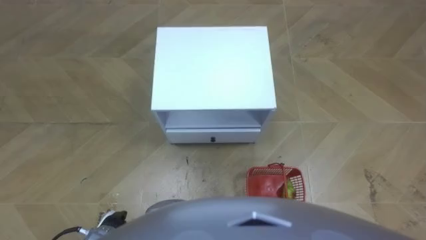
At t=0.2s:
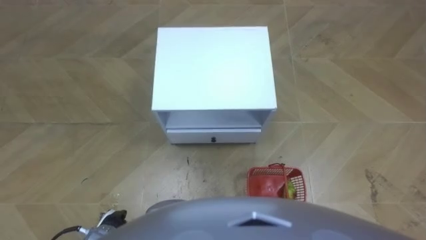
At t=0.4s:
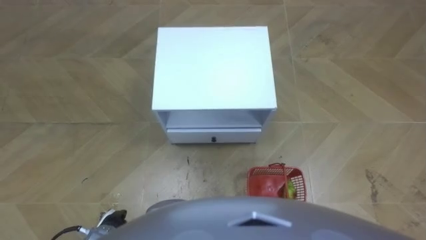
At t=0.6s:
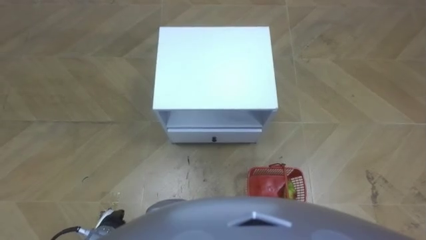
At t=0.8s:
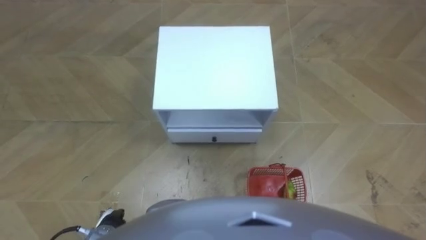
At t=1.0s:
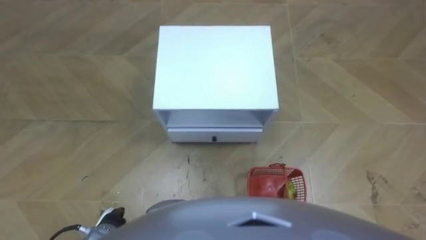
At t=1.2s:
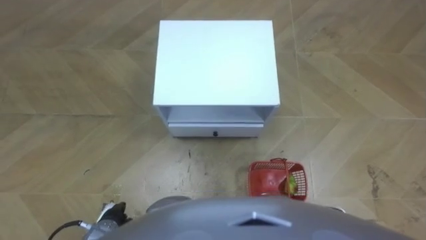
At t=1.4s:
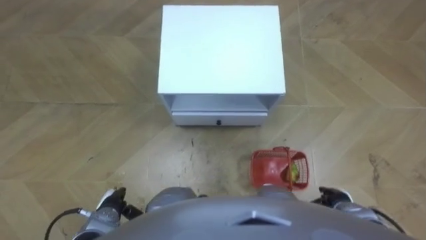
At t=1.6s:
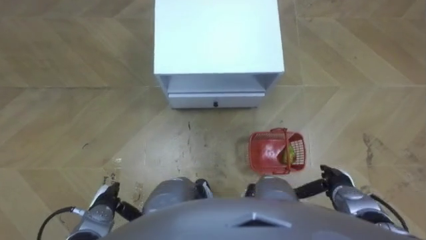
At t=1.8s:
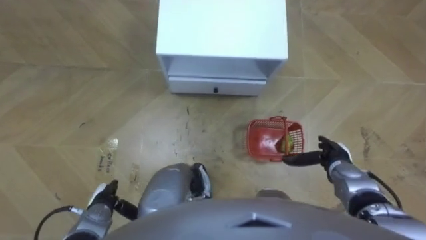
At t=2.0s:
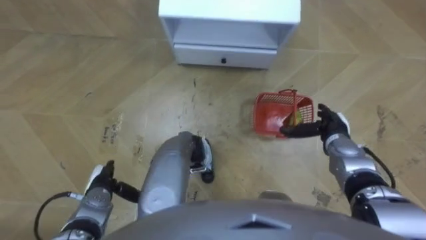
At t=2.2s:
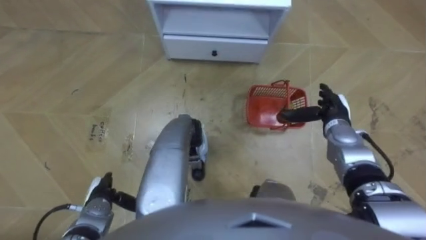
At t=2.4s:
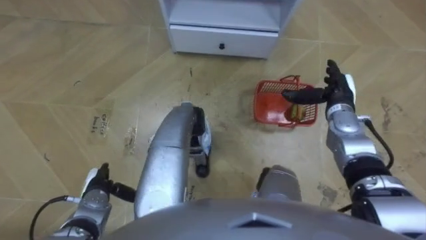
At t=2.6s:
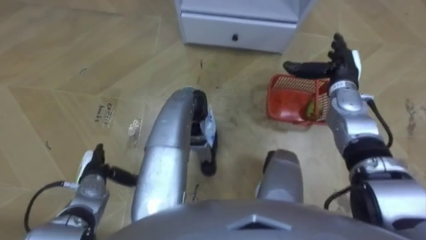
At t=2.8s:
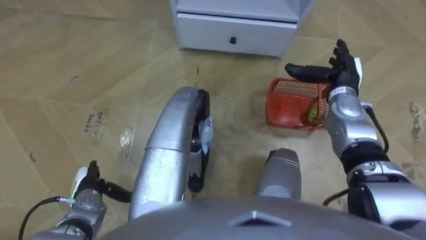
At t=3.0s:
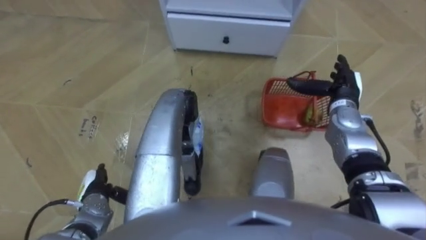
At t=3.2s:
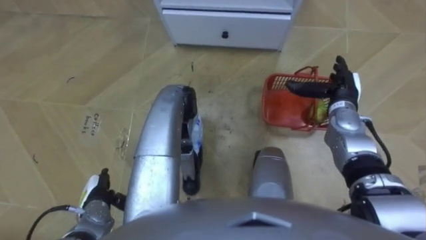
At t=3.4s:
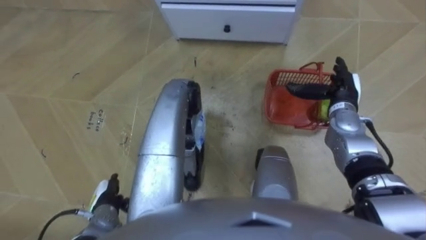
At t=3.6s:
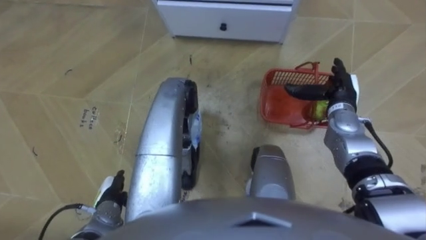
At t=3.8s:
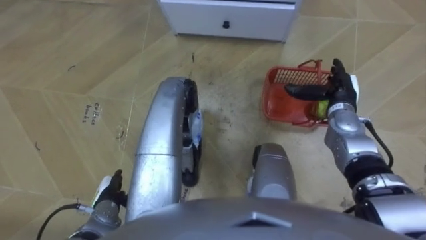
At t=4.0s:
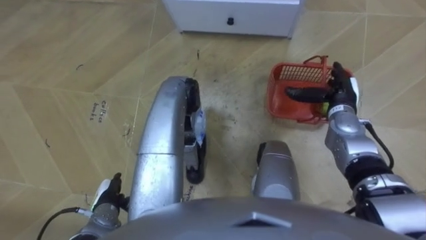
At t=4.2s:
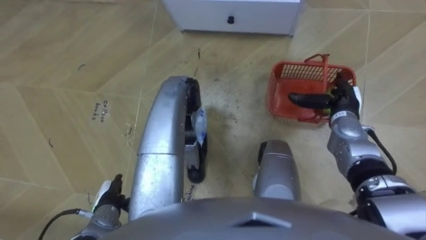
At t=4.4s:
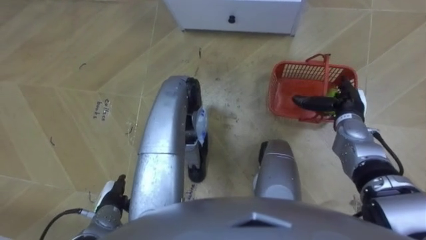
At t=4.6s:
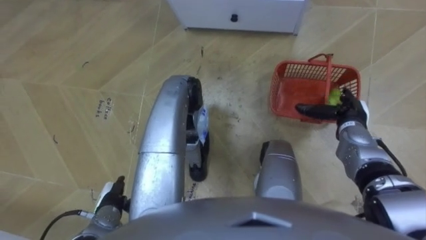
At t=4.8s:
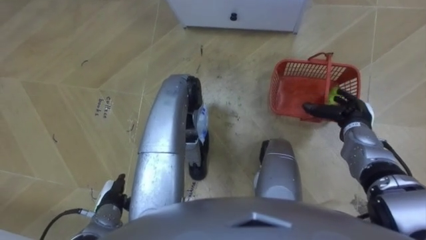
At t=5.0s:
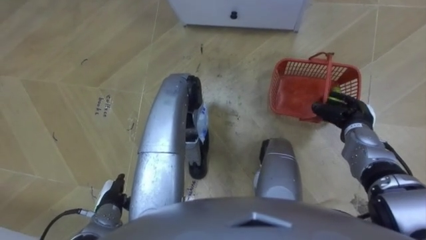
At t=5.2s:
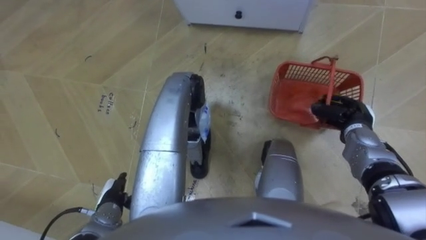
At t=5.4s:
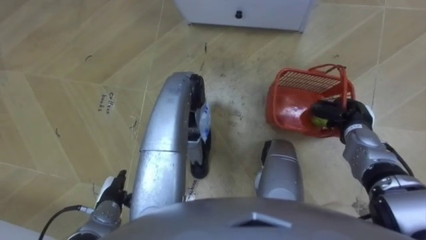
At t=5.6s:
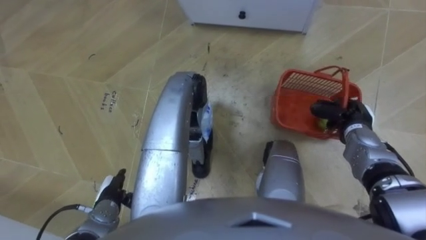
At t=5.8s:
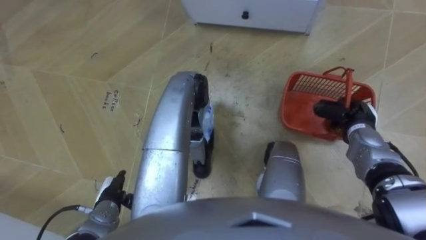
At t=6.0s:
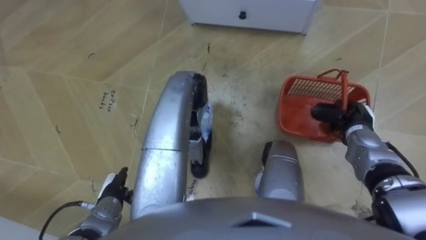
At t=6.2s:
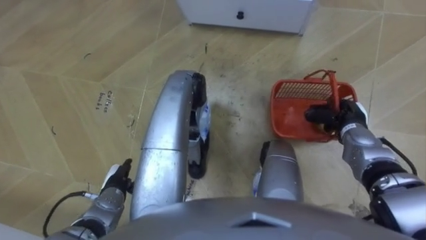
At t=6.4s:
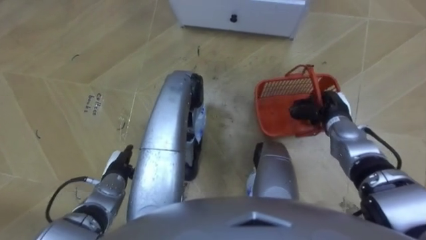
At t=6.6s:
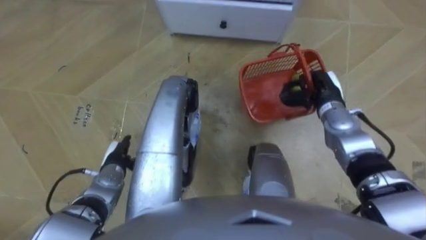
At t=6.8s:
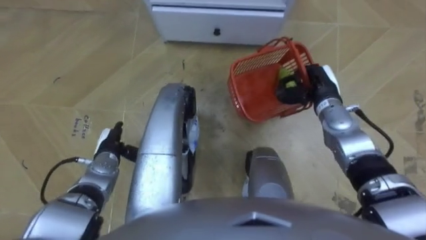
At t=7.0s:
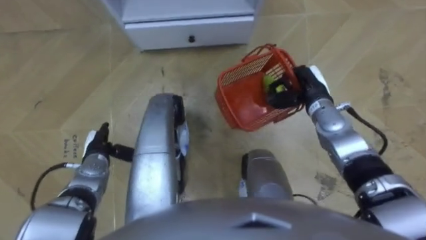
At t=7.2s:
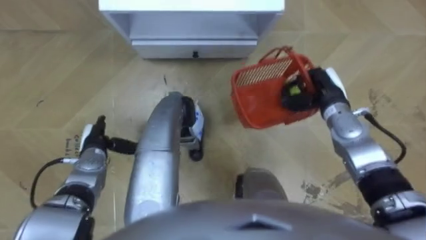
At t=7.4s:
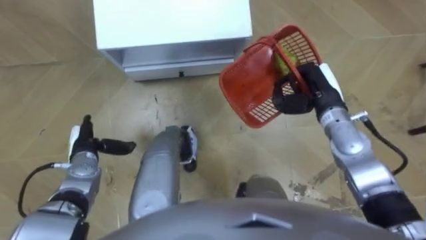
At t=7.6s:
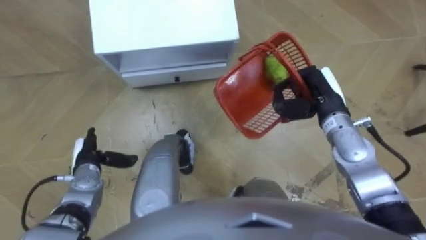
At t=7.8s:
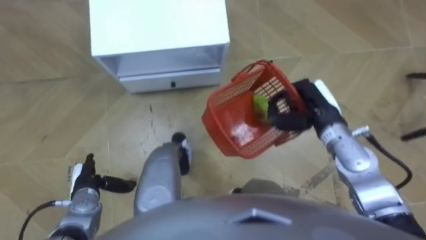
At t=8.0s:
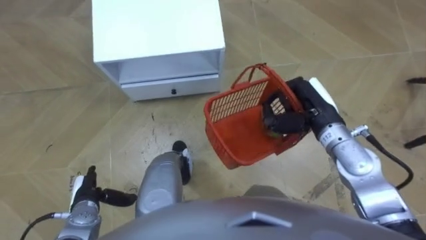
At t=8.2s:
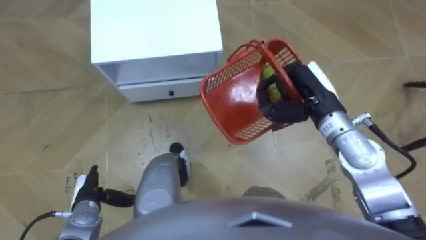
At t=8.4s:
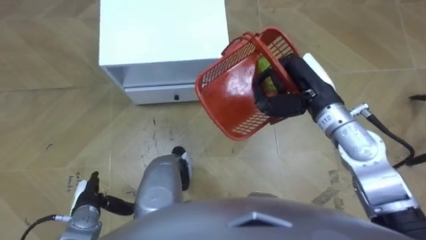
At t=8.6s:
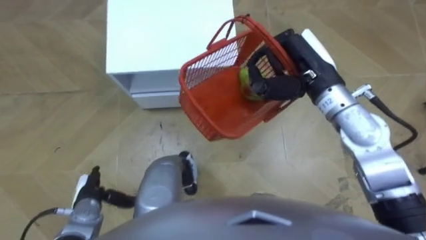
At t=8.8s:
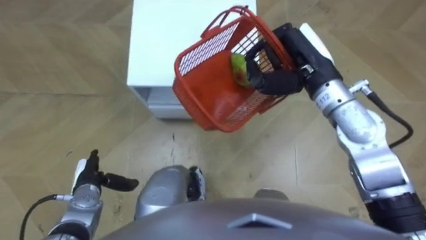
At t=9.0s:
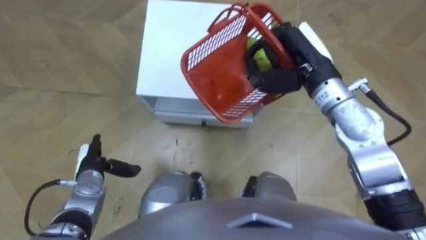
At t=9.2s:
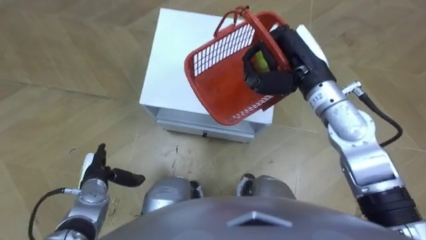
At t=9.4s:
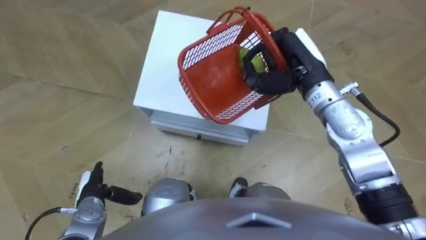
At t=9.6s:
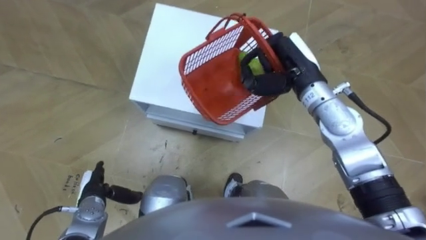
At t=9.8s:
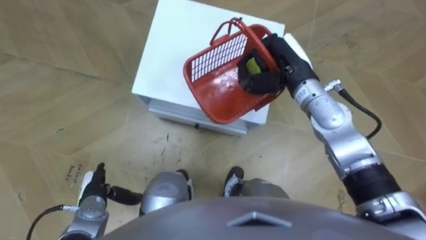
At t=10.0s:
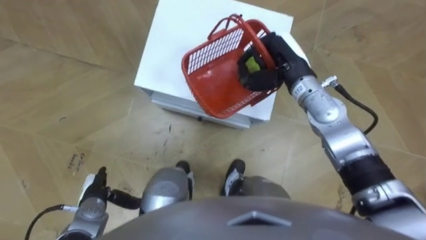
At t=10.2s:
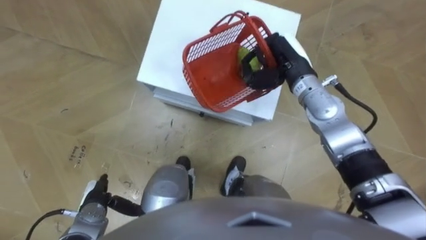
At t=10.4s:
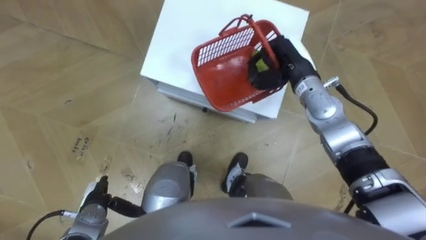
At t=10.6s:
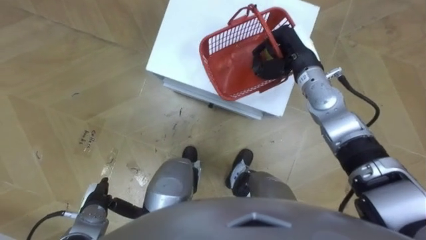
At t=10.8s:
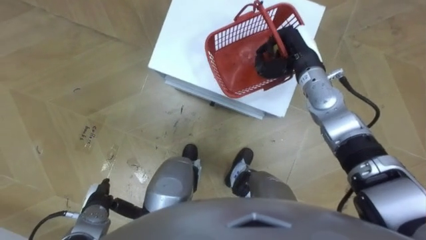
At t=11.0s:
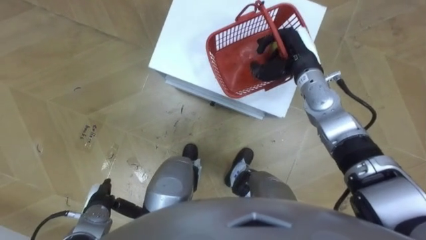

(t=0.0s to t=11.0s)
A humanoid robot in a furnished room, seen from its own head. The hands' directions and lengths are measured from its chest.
Task of the whole recording: Pick up the fruit basket from the floor and place it on the cabinet.
t=1.6s - t=3.2s: The right hand heads forward and upward, covering some 20 cm.
t=3.2s - t=4.8s: The right hand ends up some 5 cm from where it was.
t=4.8s - t=6.2s: The right hand closes its fingers.
t=6.2s - t=7.8s: The robot faces some 20 degrees further to its right. The right hand travels upward and to the left by about 15 cm, while the left hand heads to the left, covering some 5 cm, and travels forward and back again, some 10 cm each way.
t=7.8s - t=9.4s: The right hand is displaced upward, to the left and forward by roughly 10 cm; the left hand goes forward and backward, about 5 cm each way, reversing 2 times.
t=9.4s - t=11.0s: The right hand moves downward and forward, approximately 10 cm.

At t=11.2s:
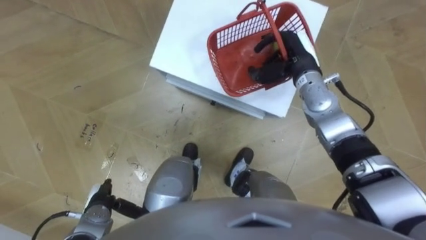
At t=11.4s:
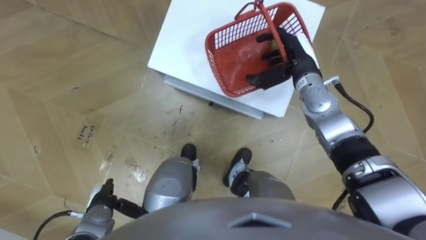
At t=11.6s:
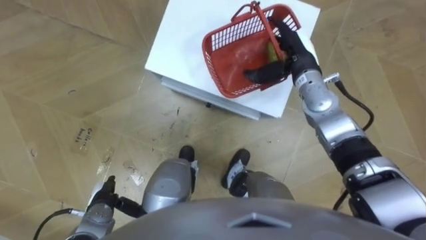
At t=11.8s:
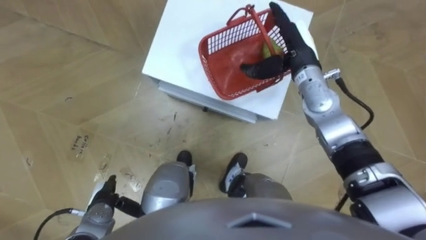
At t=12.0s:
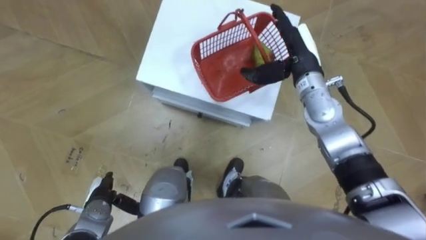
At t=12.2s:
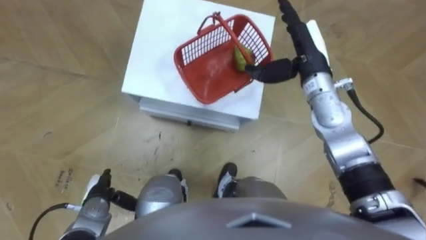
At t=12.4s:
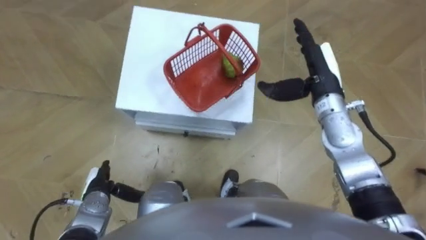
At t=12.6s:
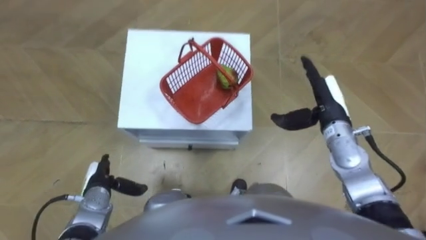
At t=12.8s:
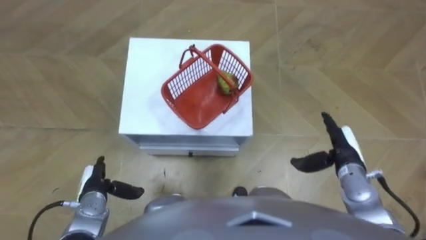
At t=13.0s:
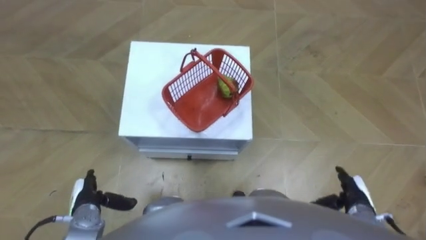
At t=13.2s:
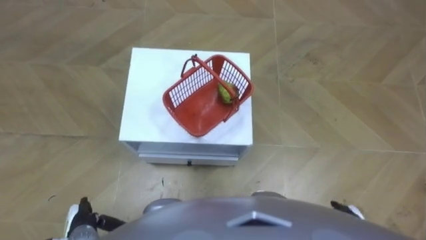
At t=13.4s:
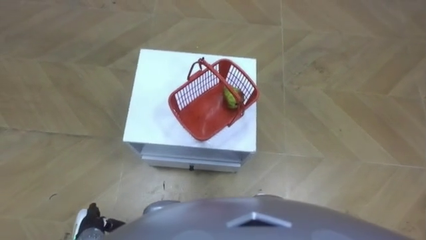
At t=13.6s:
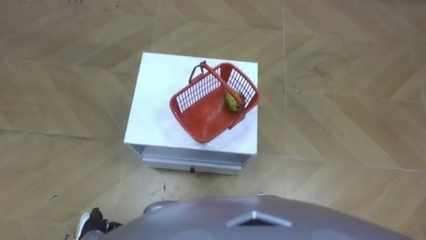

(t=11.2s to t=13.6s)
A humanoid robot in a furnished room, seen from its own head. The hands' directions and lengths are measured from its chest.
Task of the whole recording: Pick up the fruit basket from the floor and place it on the cabinet.
t=11.2s - t=12.4s: The right hand ends up roughly 5 cm from where it was, and opens up.
t=12.4s - t=13.6s: The left hand travels backward by approximately 10 cm.

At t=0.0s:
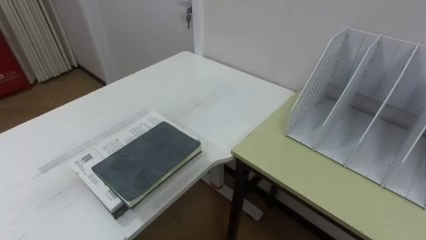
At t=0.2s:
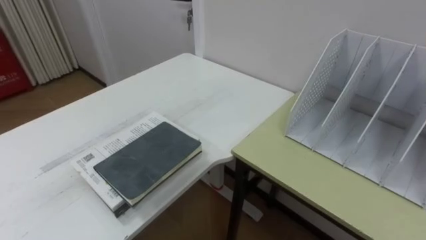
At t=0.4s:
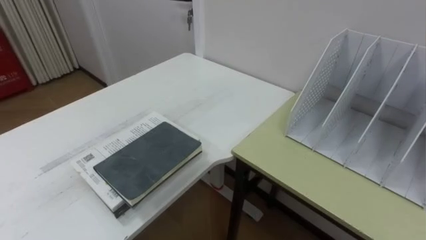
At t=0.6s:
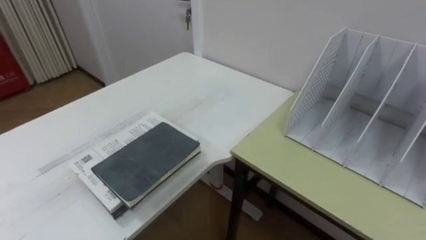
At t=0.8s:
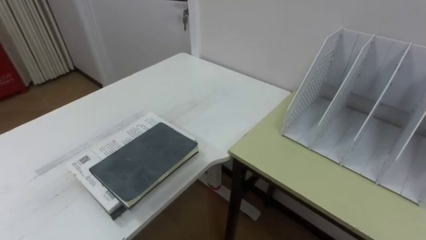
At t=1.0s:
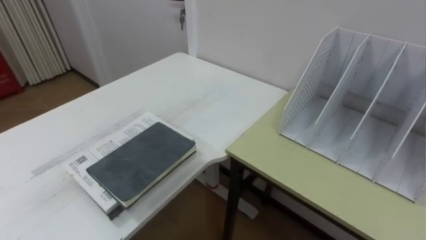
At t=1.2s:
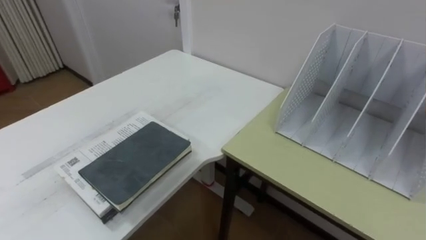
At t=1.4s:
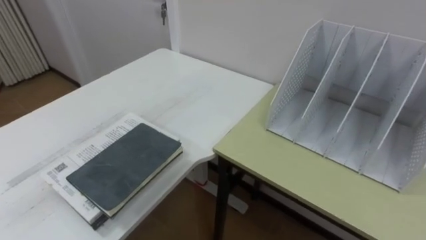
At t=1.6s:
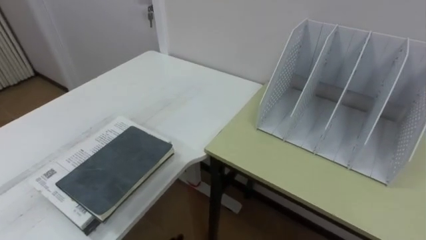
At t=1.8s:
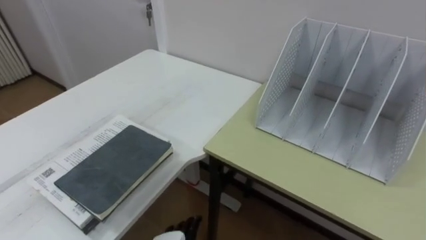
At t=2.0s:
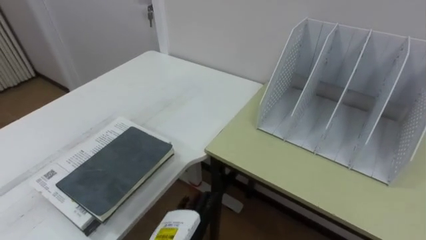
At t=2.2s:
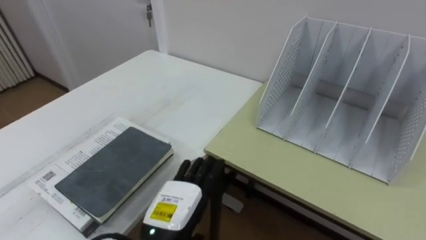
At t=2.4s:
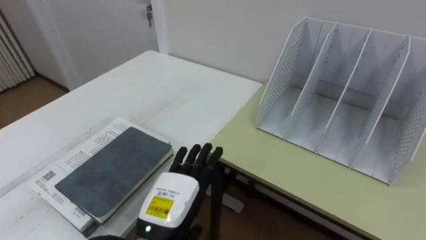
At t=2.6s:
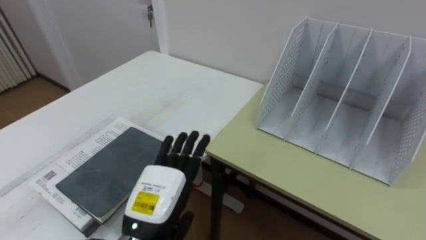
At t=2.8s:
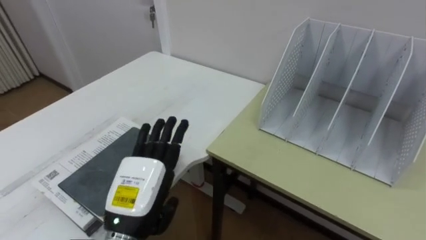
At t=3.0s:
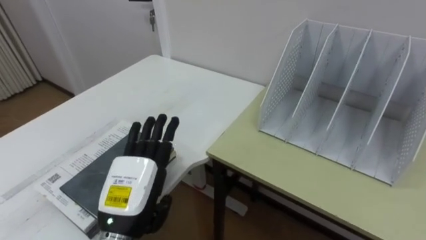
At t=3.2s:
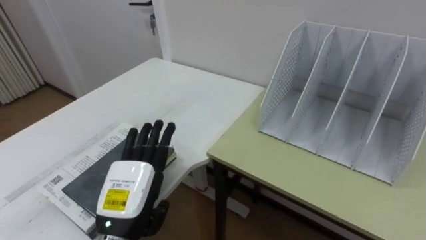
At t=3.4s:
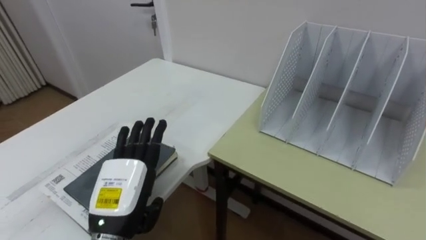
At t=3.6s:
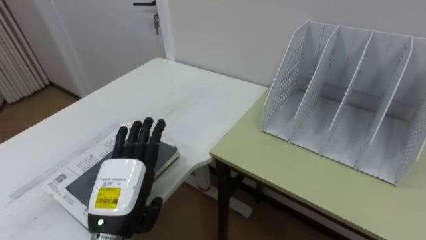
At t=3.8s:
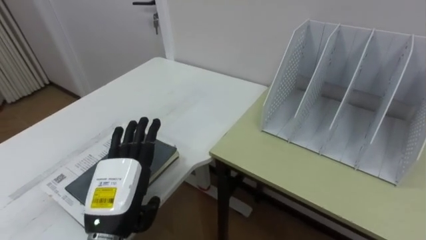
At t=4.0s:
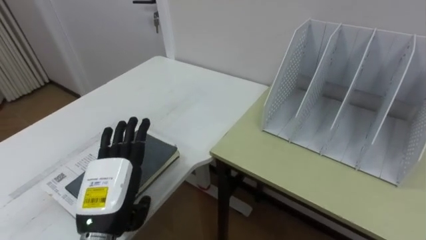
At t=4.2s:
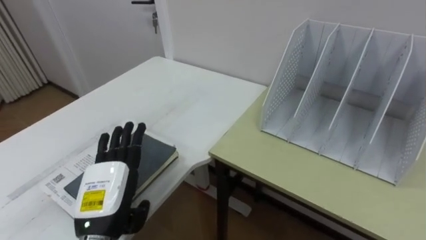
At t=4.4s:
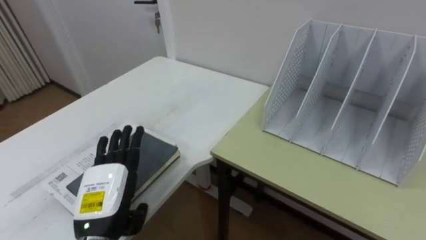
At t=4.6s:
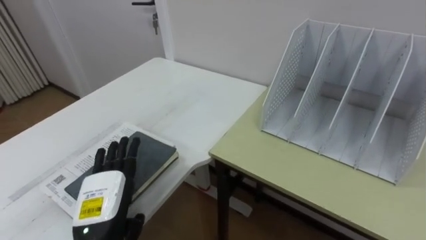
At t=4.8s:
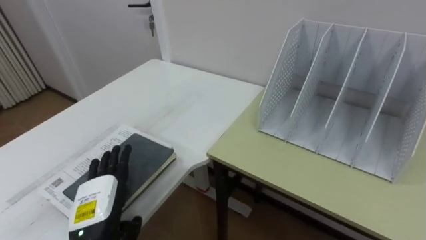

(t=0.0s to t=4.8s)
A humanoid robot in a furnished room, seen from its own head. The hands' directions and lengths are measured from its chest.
Task of the whole recording: Put the books on the table onto the bookshelf.
t=3.2s - t=4.8s: The left hand goes roughly 5 cm to the left.
